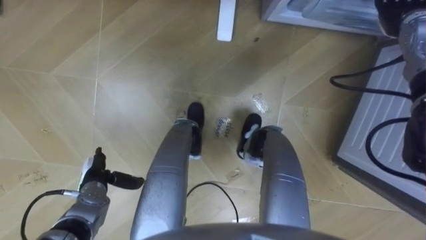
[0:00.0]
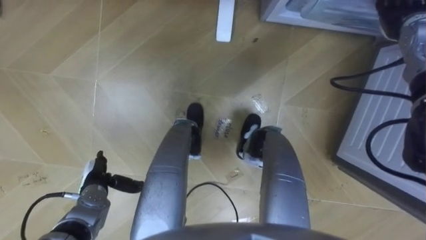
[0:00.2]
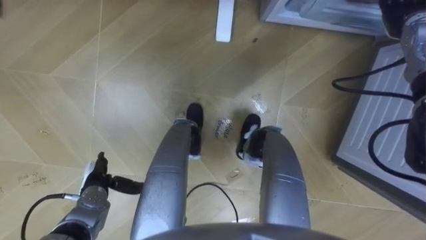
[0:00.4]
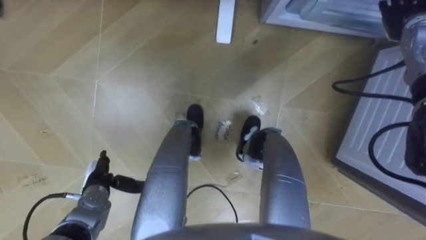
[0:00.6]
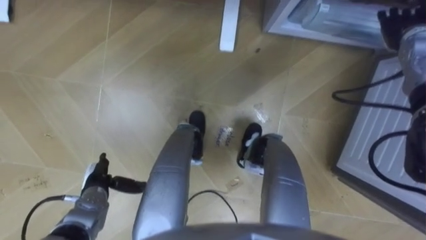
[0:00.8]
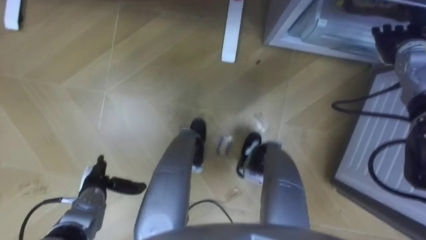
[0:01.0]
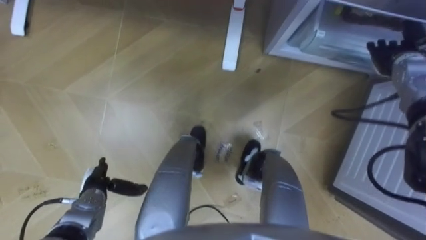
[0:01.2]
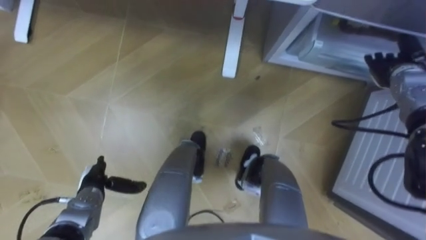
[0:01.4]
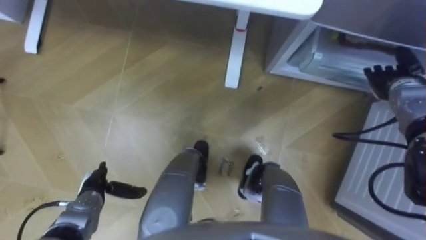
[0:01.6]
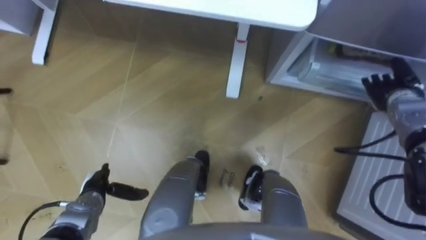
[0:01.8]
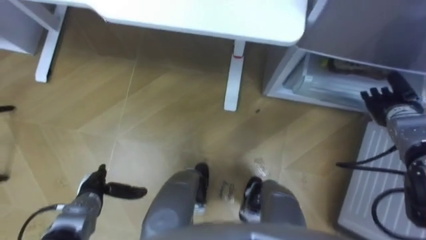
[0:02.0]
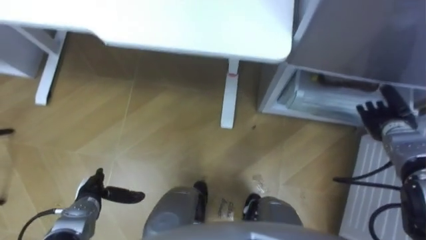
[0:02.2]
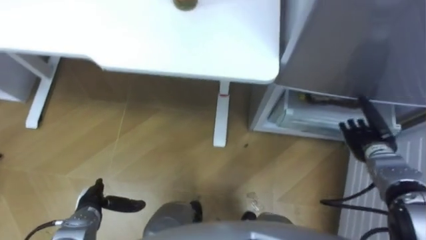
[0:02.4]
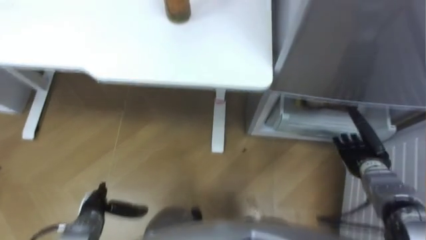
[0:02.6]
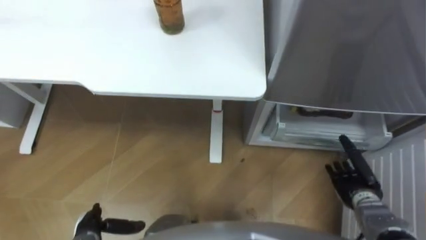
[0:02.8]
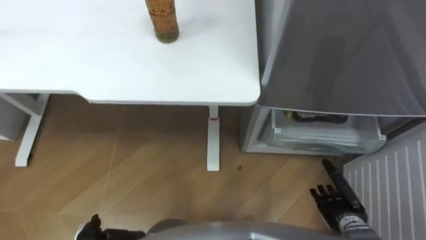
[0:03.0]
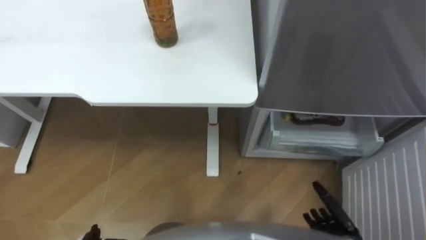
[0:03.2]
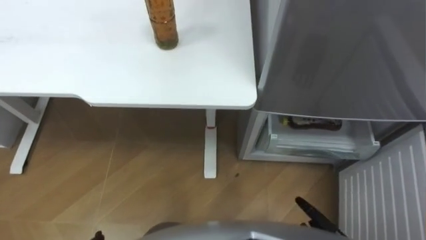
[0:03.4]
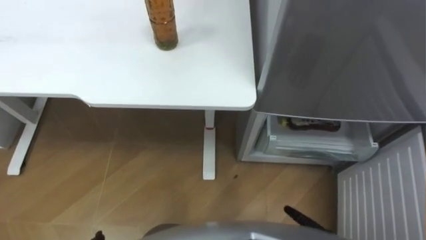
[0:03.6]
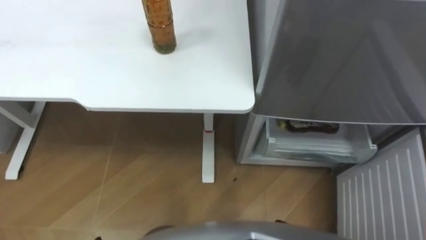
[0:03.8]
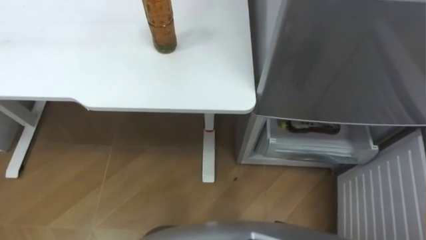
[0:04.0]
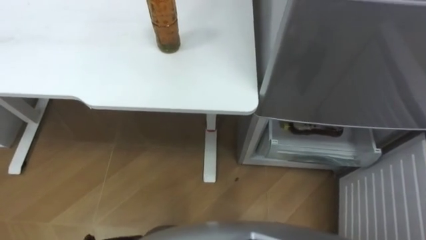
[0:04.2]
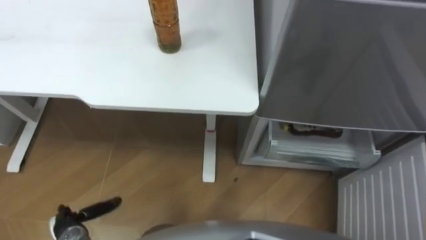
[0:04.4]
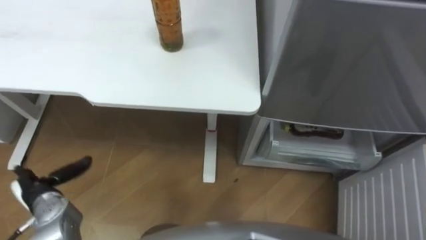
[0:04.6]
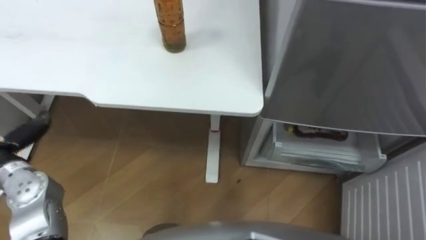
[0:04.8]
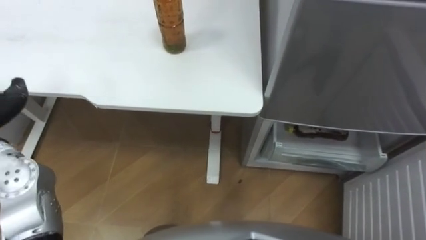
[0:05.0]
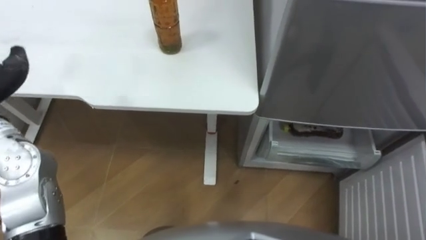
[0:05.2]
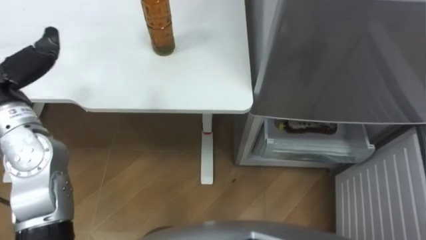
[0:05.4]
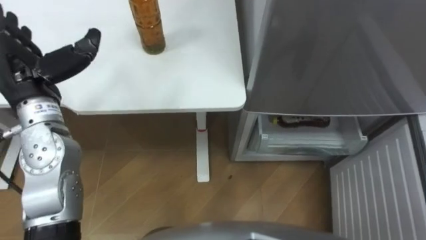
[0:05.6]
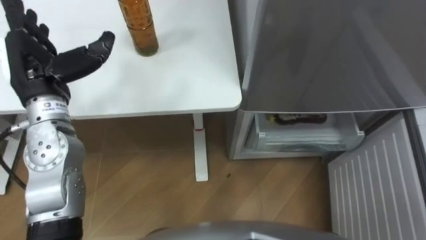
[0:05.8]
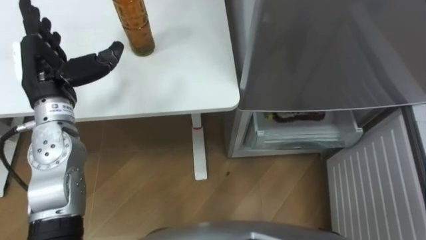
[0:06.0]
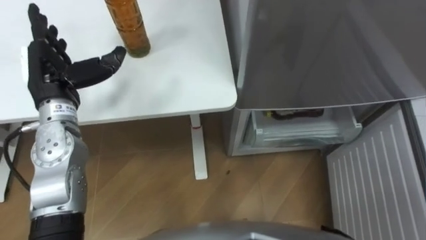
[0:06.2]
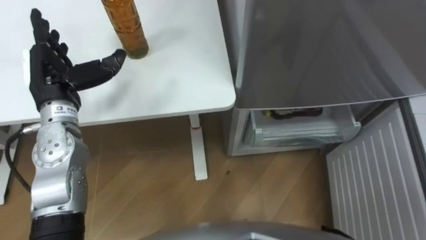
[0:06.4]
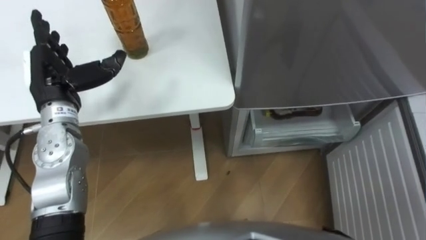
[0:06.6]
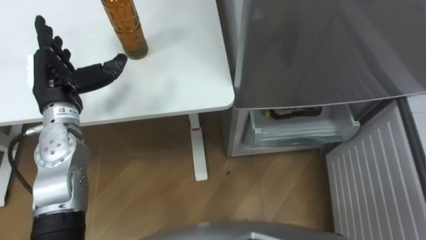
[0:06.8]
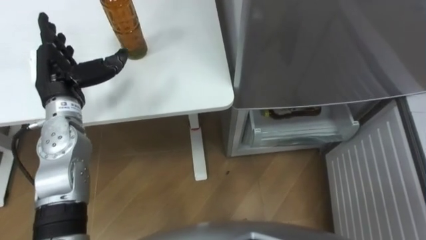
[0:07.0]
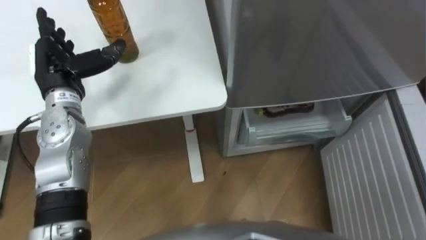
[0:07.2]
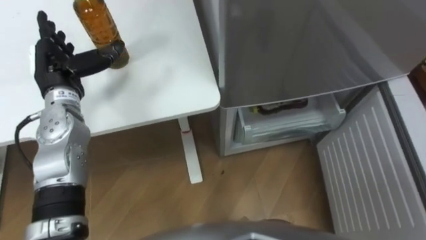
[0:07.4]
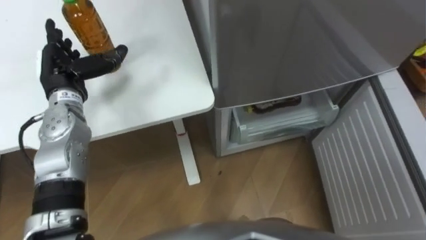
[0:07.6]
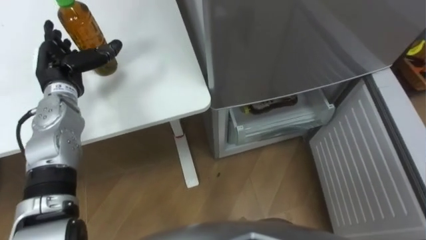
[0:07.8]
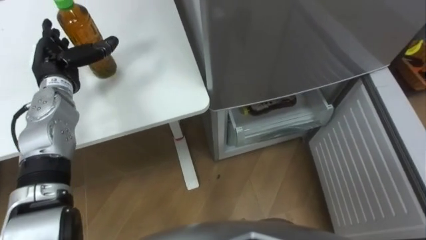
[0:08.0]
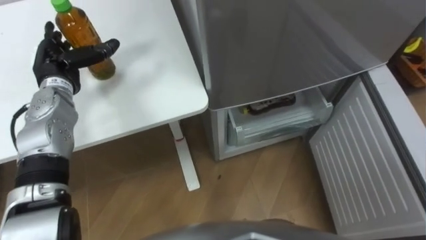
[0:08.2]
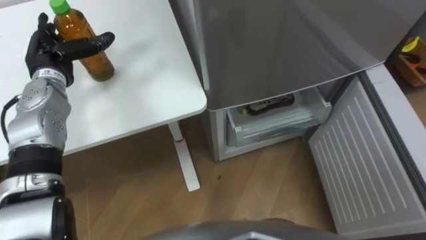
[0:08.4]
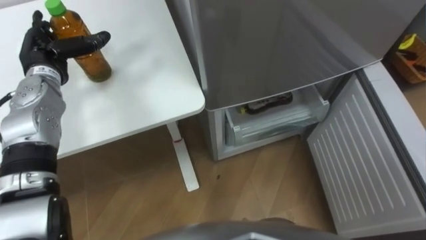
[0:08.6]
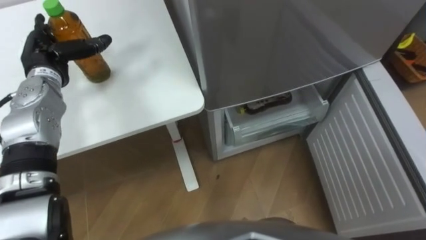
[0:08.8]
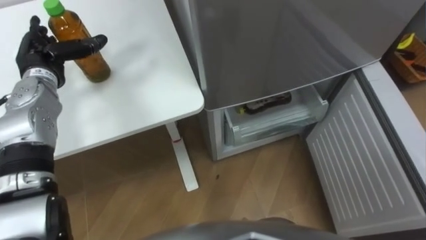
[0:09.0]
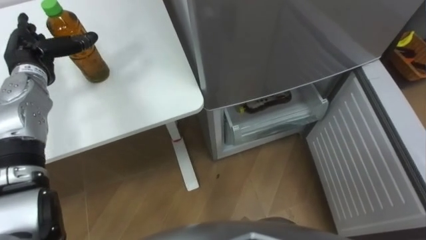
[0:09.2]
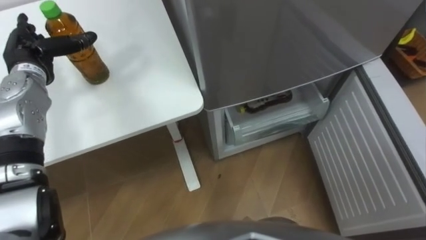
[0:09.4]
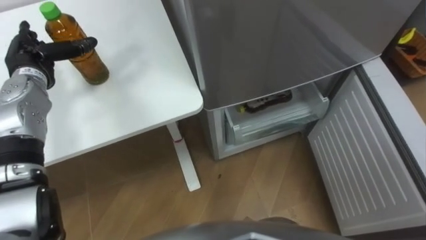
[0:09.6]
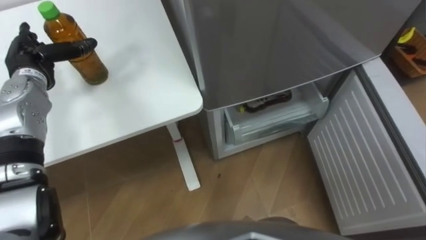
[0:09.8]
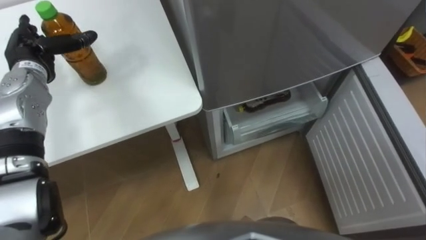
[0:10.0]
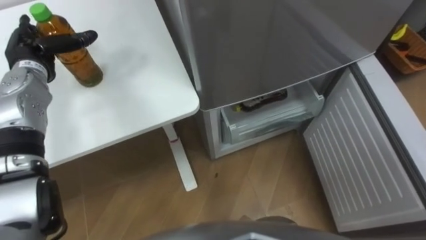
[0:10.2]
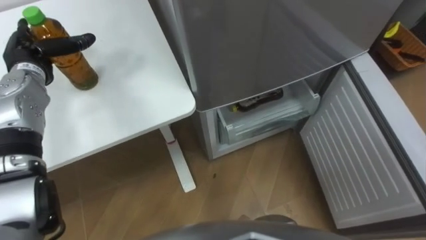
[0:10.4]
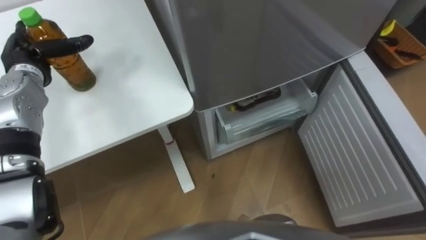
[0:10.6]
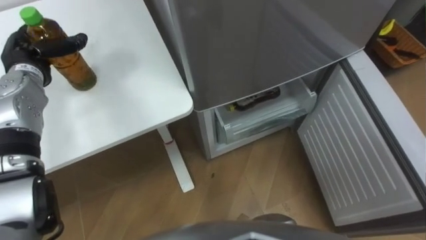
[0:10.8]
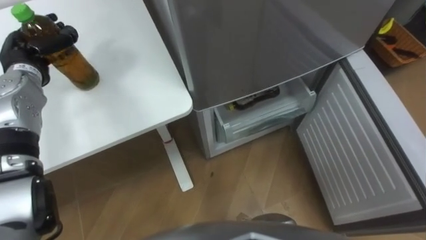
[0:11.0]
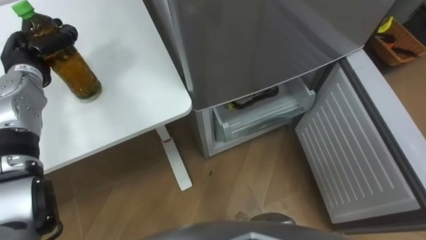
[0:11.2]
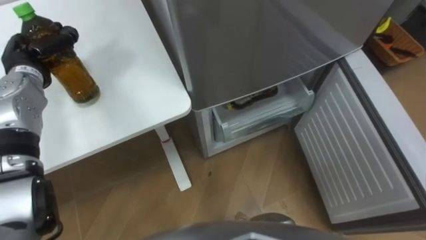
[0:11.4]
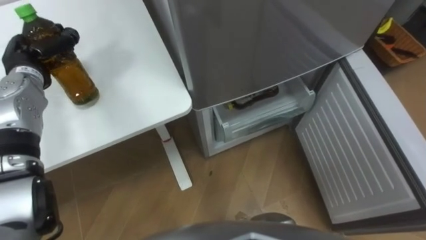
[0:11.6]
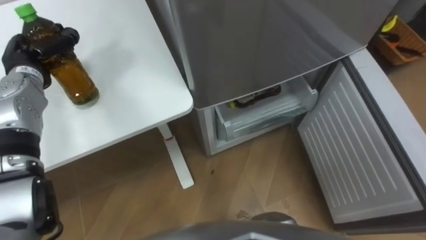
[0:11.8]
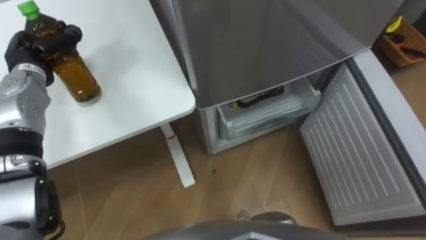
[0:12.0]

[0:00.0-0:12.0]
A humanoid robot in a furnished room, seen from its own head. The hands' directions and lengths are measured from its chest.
Task of the whole recording: Place the drink on the table on the bottom shelf of the refrigerator, then close the drawer and the refrigerator door.
0:00.0 to 0:01.6: The right hand shifts approximately 15 cm downward and backward.
0:01.6 to 0:03.0: The right hand is displaced backward and downward by about 30 cm.
0:06.0 to 0:07.6: The left hand shifts approximately 5 cm downward.
0:07.6 to 0:09.0: The left hand changes place by some 5 cm.
0:10.4 to 0:12.0: The left hand closes up.

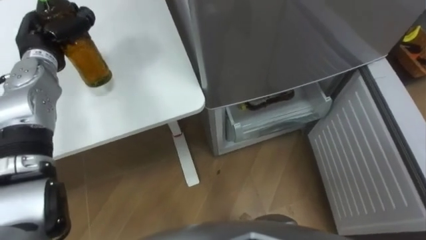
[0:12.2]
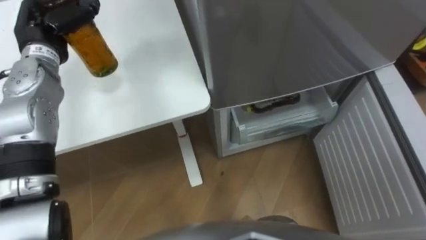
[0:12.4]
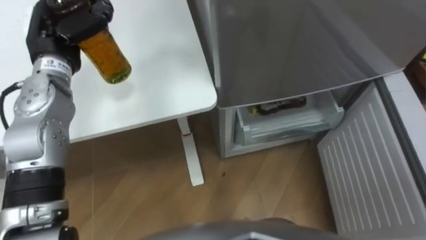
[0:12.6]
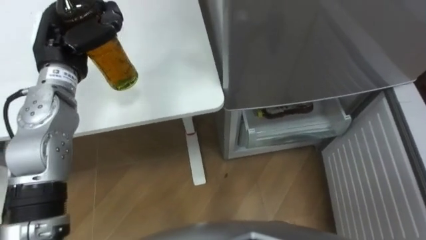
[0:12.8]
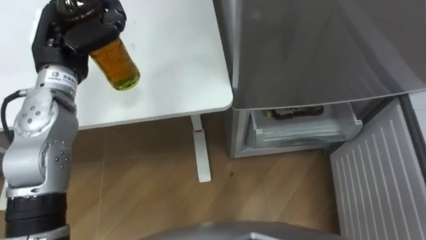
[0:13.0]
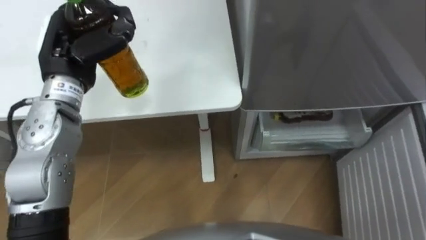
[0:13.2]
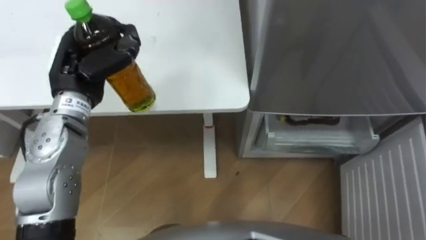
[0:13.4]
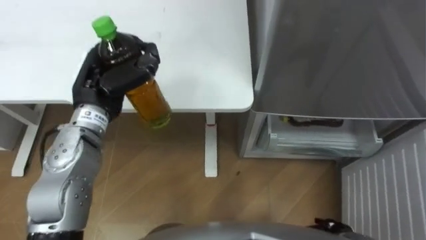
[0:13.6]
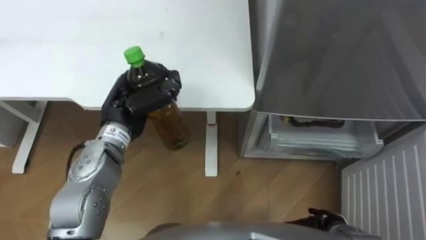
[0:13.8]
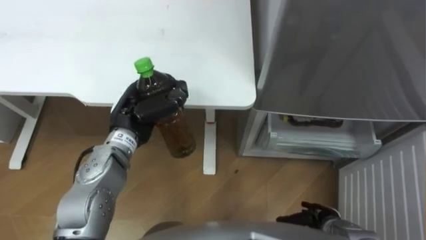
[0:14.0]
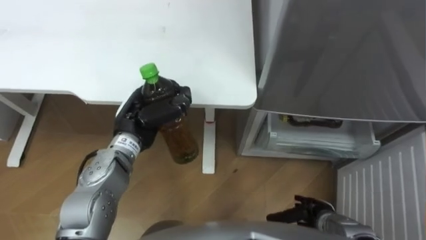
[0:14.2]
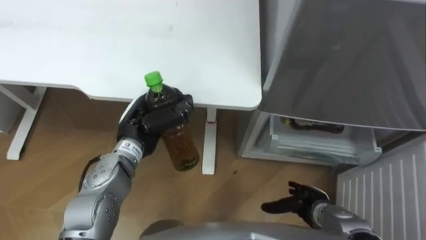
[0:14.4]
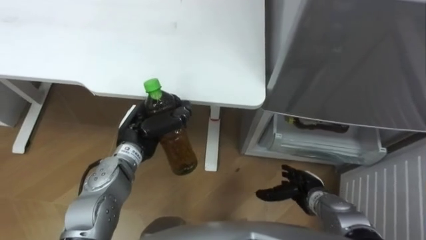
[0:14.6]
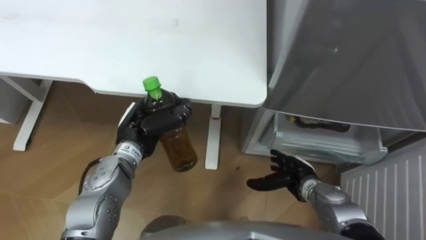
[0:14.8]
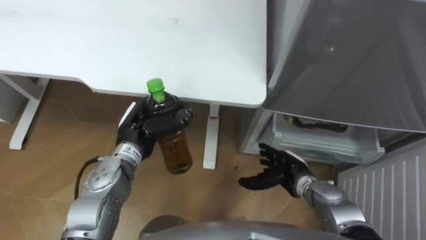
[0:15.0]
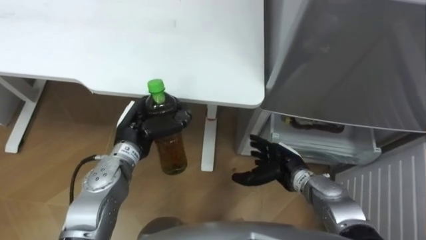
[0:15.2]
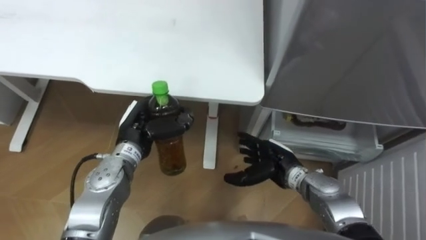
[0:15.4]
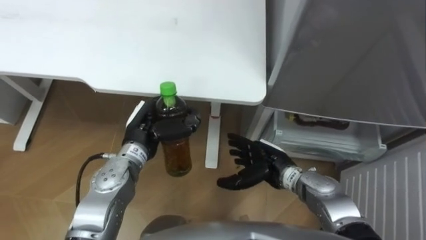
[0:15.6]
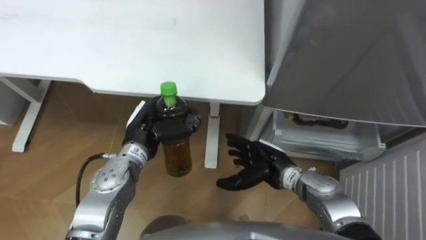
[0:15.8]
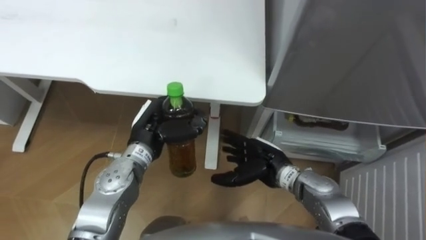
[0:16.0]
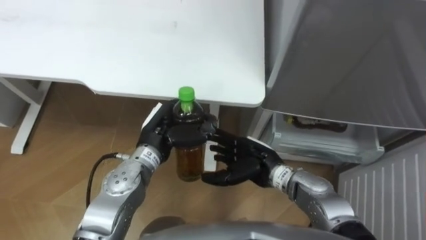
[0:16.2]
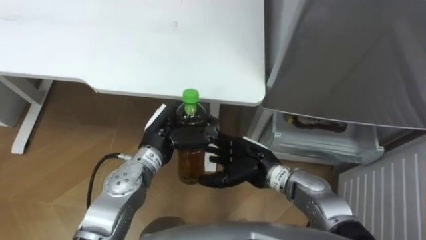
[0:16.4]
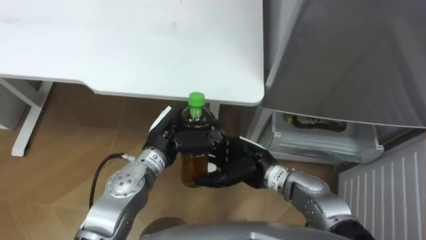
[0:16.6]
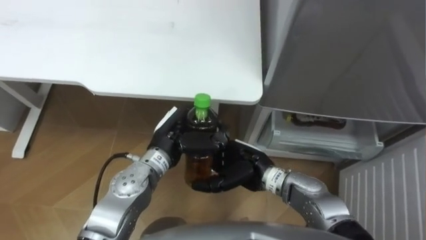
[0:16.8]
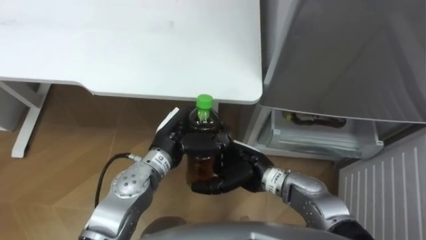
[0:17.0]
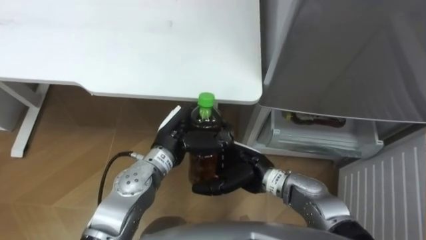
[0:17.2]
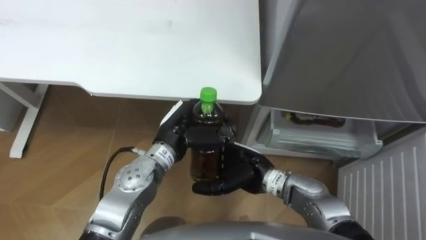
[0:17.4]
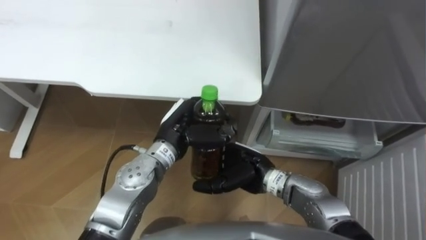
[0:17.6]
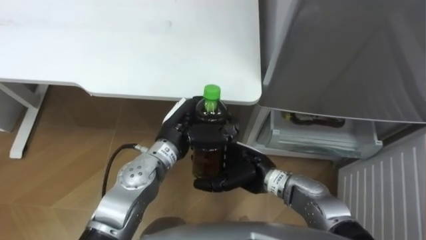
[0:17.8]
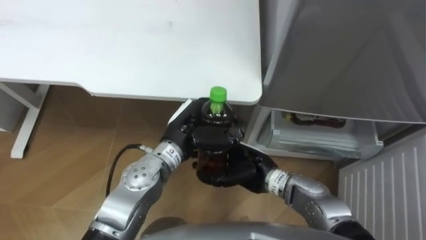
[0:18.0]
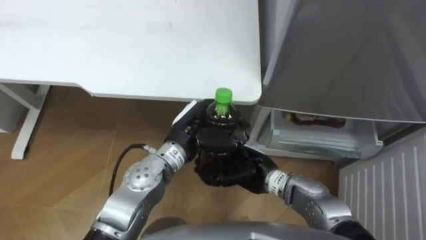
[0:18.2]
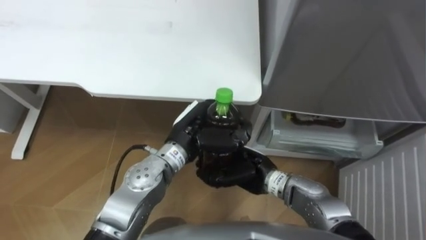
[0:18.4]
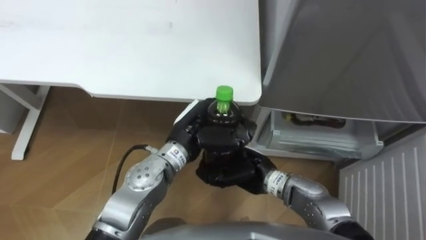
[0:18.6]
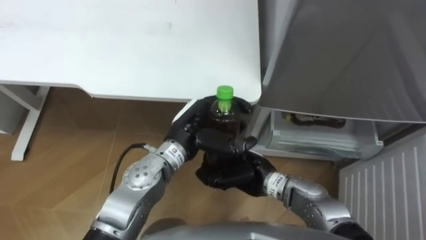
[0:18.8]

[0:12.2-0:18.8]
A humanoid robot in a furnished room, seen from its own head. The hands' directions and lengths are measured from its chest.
Task of the whole recording: Place the drink on the table on the bottom shelf of the refrigerator, then close the drawer and the refrigerator door.
0:12.2 to 0:13.8: The left hand is displaced to the right and backward by approximately 20 cm.
0:13.8 to 0:15.4: The right hand travels forward, to the left and upward by about 20 cm, while the left hand is displaced downward by about 5 cm.
0:15.4 to 0:17.2: The right hand heads to the left, covering about 10 cm. The left hand goes about 10 cm to the right.
0:17.2 to 0:18.8: The right hand closes its fingers.
